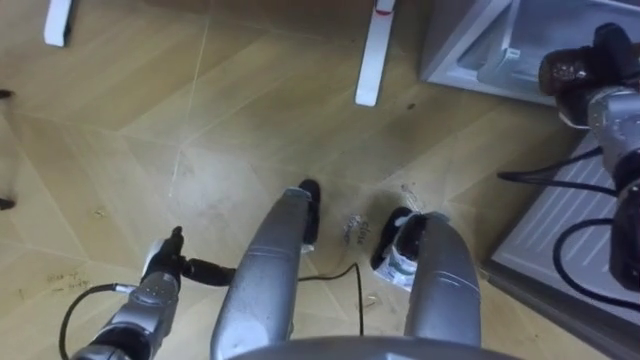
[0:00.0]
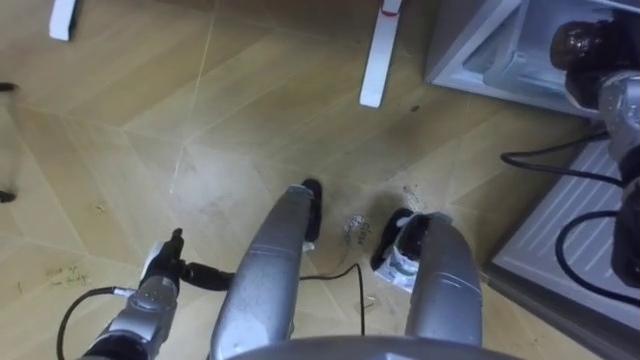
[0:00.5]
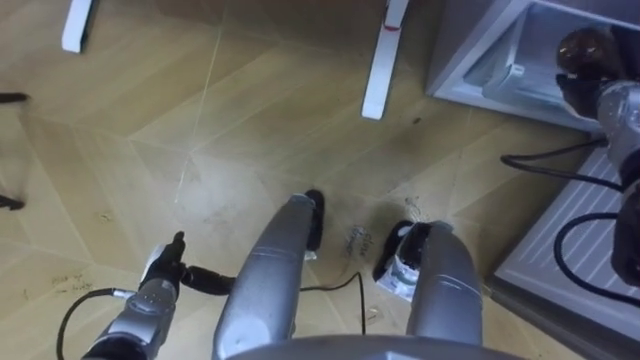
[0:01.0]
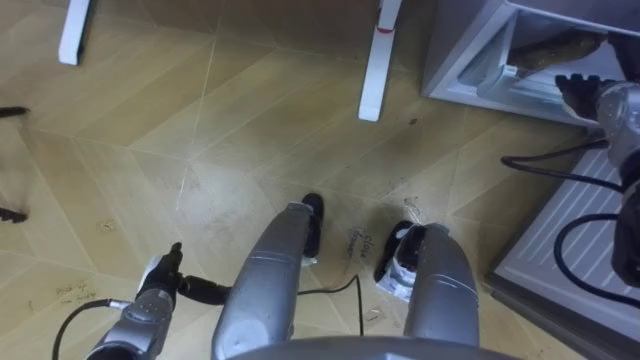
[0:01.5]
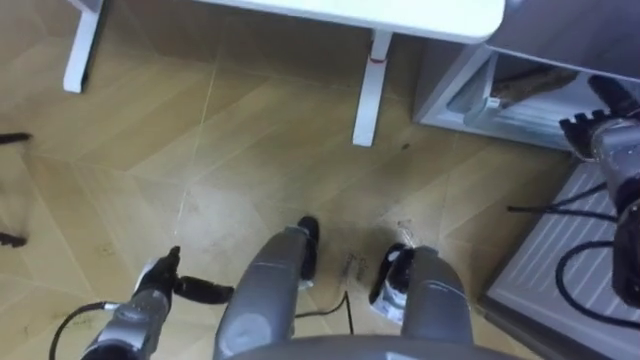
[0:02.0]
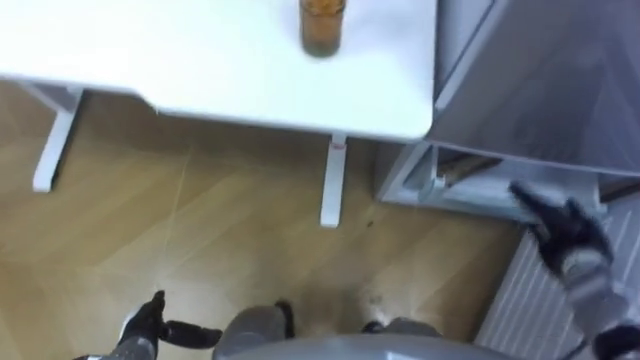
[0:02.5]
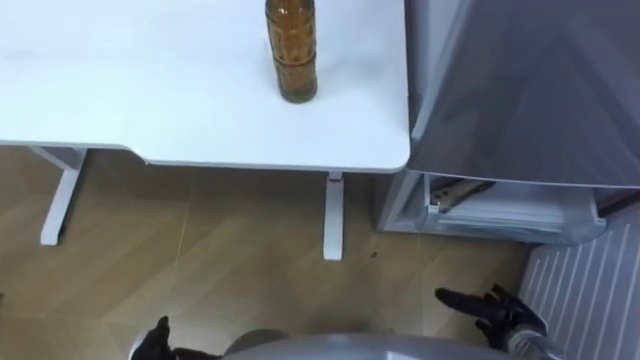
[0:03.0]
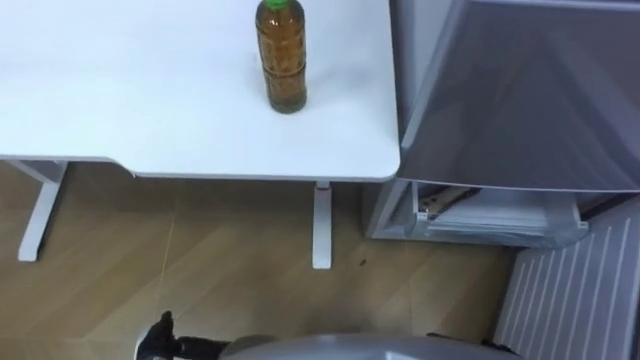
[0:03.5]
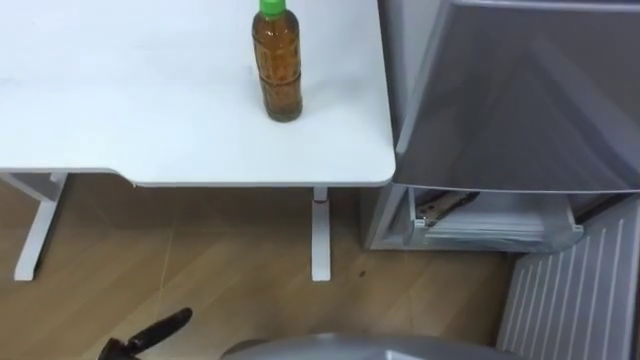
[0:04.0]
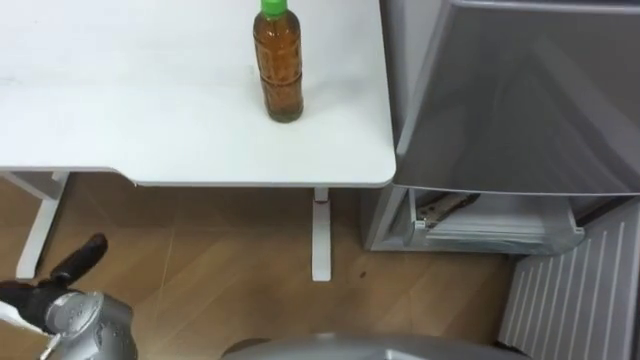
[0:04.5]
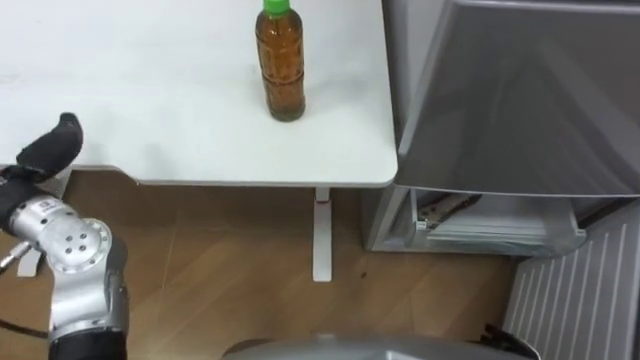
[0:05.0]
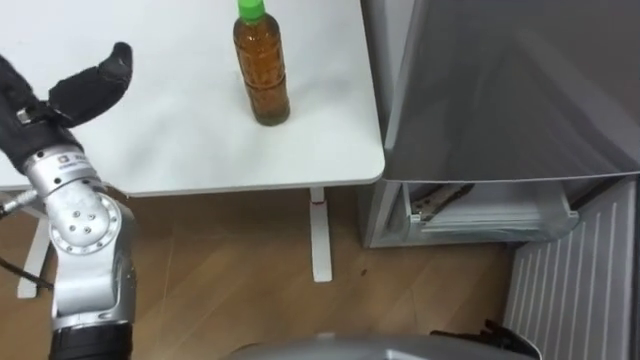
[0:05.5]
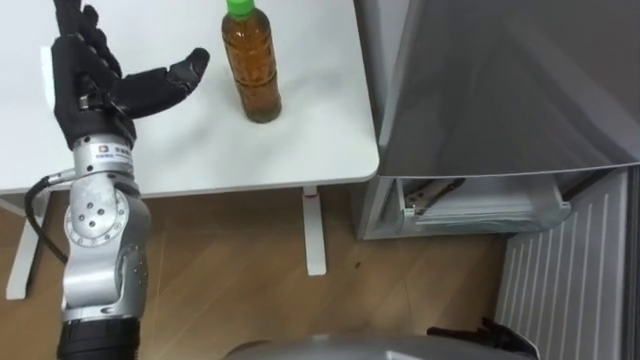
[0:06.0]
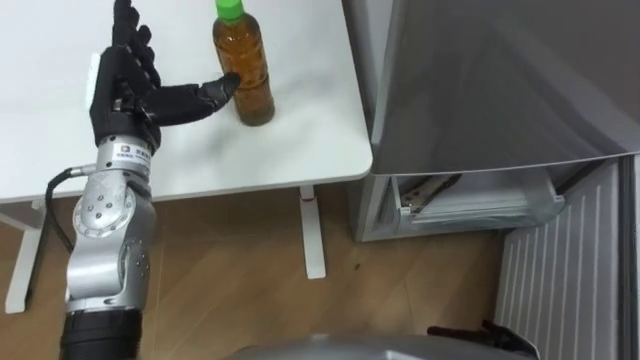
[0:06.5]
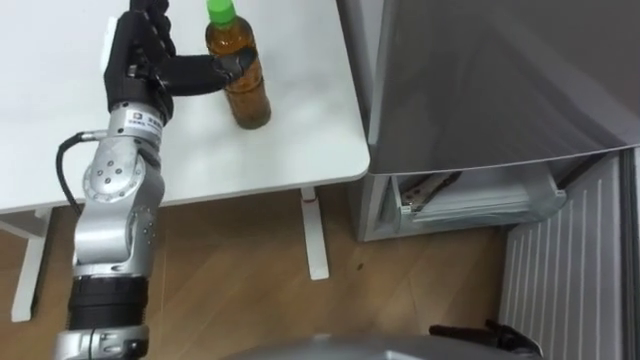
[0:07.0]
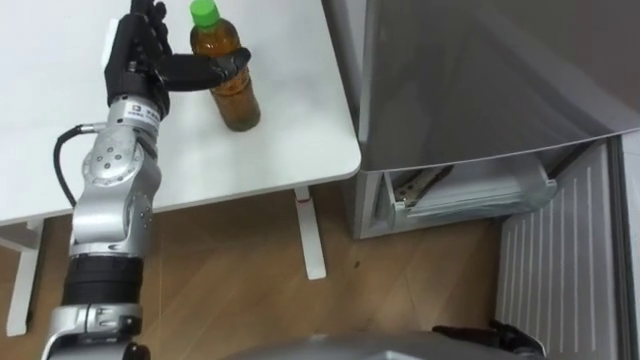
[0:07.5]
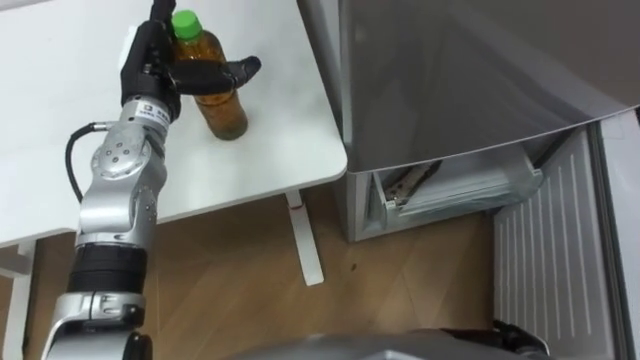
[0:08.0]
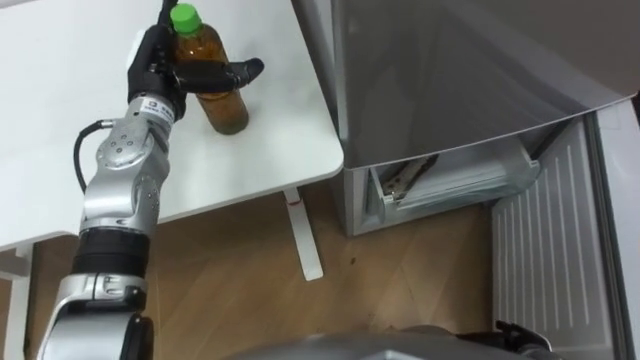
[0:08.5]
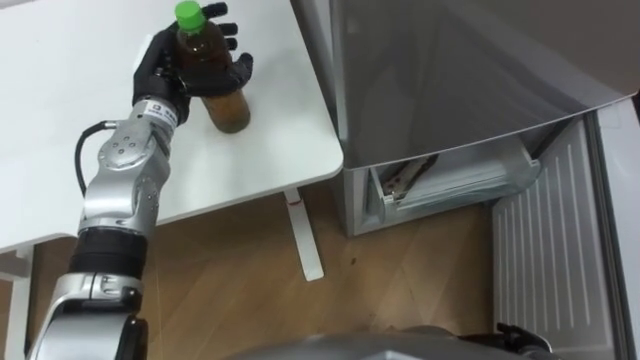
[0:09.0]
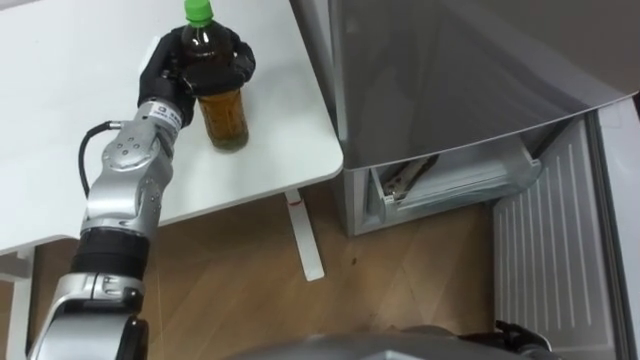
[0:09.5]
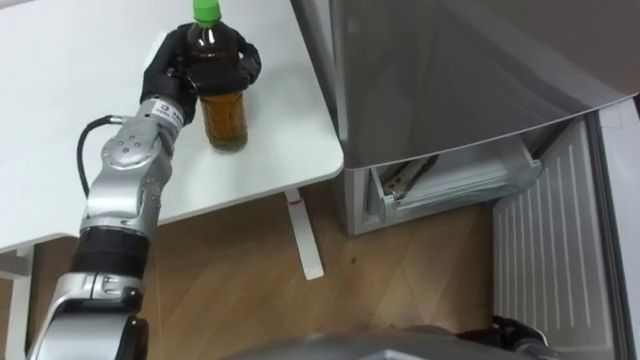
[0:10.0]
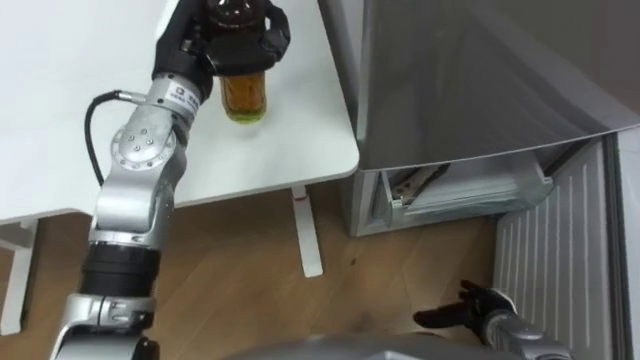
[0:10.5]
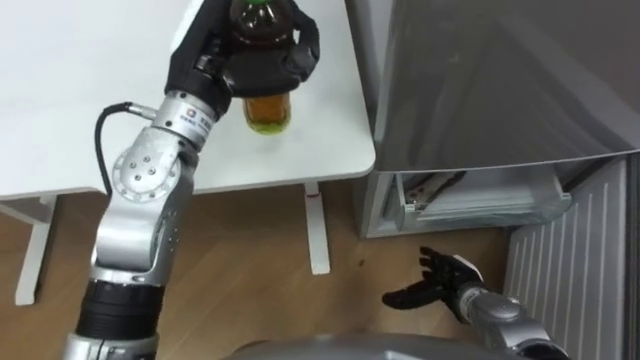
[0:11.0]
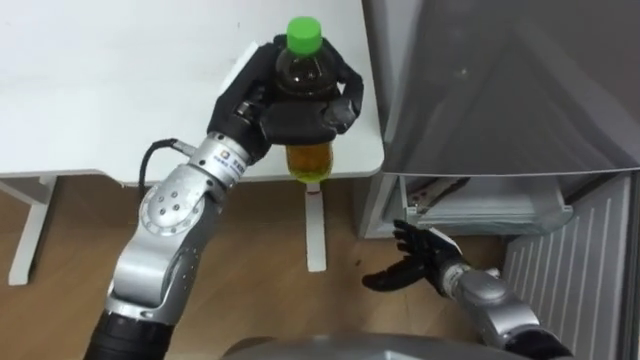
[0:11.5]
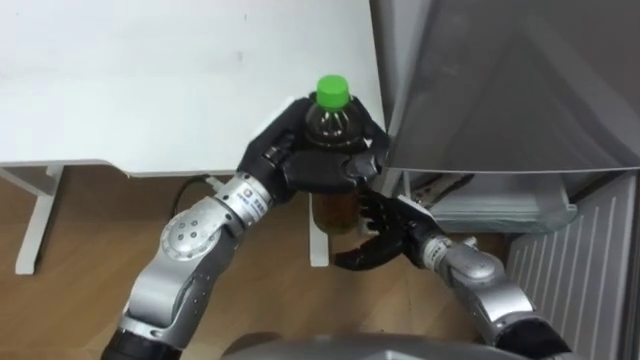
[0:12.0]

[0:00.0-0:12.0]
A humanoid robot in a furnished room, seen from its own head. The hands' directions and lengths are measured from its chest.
Task of the whole recording: Place the drink on the table on the bottom shelf of the refrigerator, then close the drawer and the refrigerator door.
0:00.0 to 0:02.0: The right hand opens up.
0:06.0 to 0:08.0: The left hand goes roughly 5 cm forward.
0:08.0 to 0:10.0: The left hand closes up.
0:10.0 to 0:12.0: The right hand is displaced to the left, forward and upward by some 25 cm. The left hand goes roughly 15 cm to the right and backward.

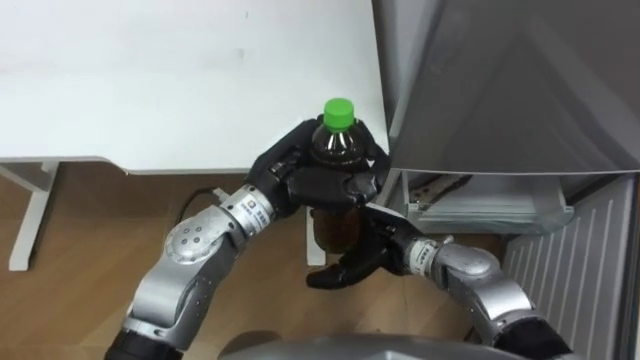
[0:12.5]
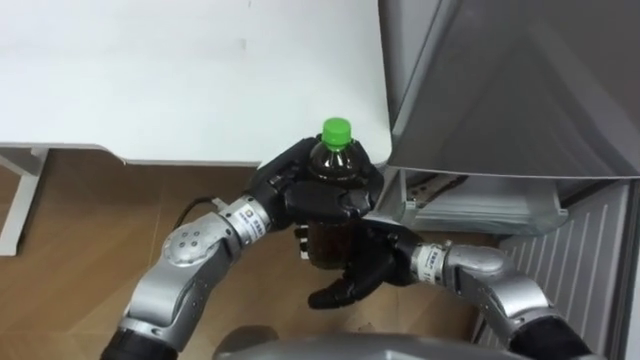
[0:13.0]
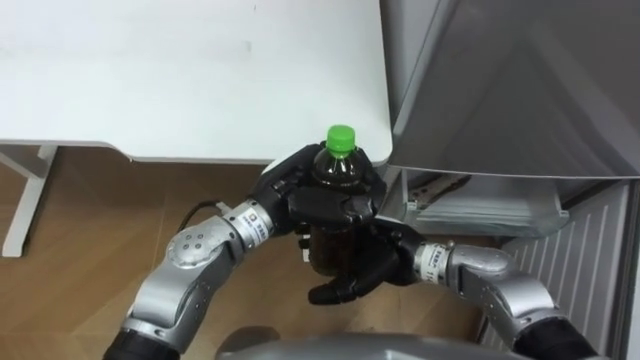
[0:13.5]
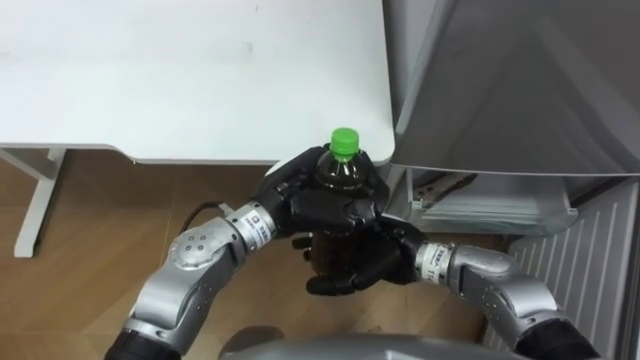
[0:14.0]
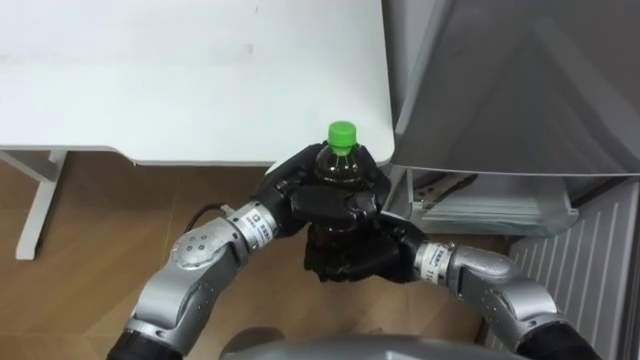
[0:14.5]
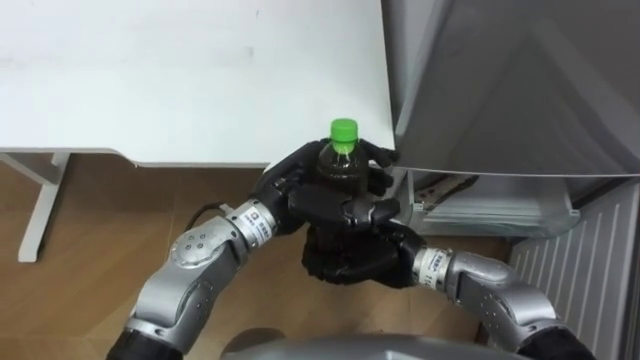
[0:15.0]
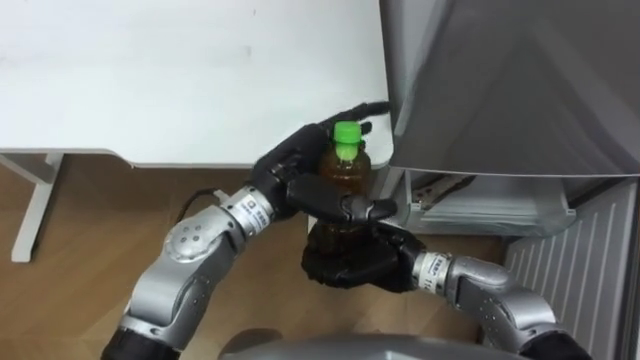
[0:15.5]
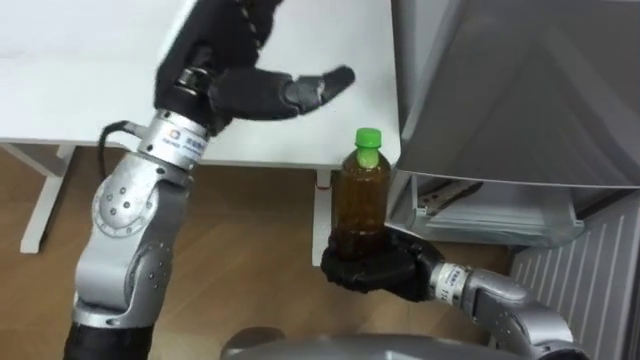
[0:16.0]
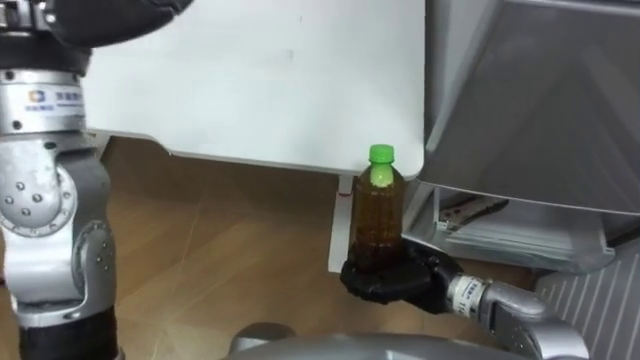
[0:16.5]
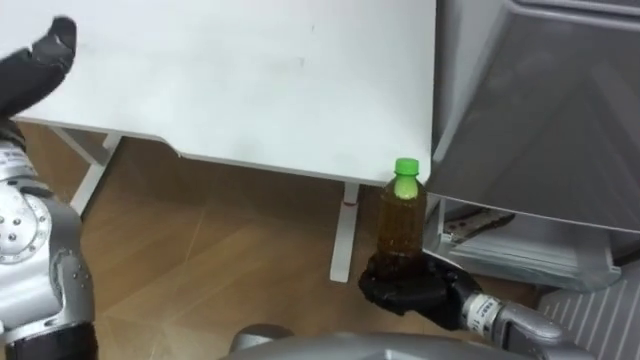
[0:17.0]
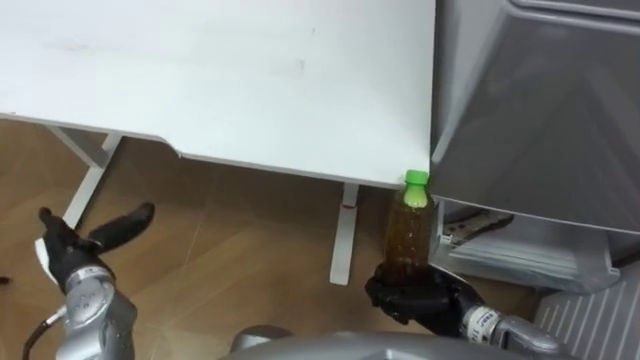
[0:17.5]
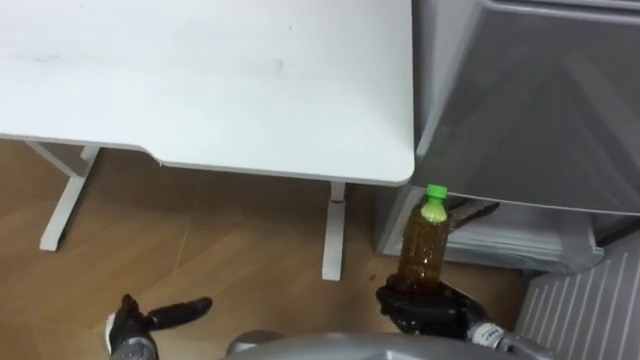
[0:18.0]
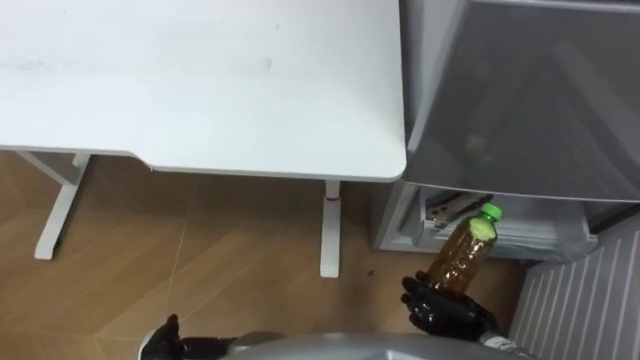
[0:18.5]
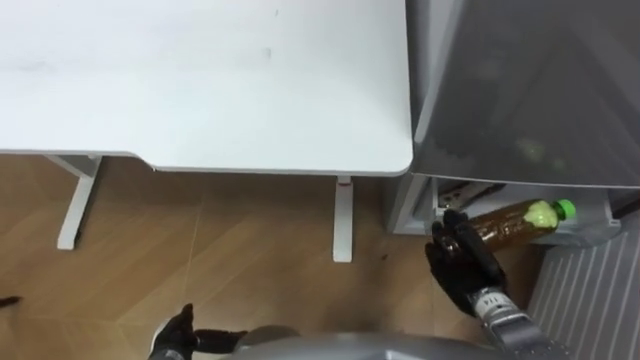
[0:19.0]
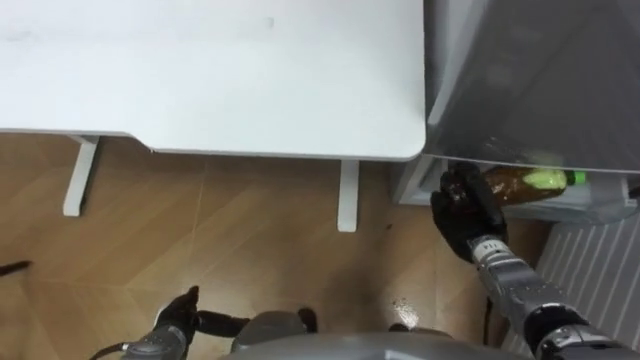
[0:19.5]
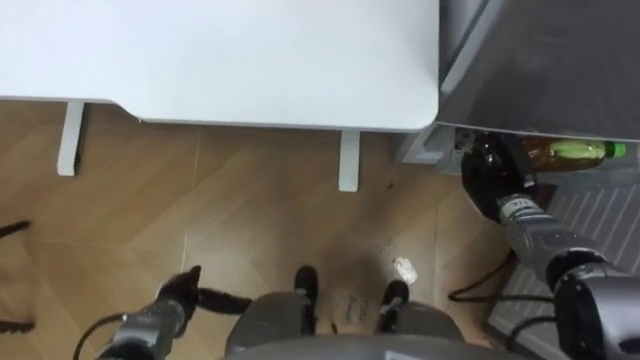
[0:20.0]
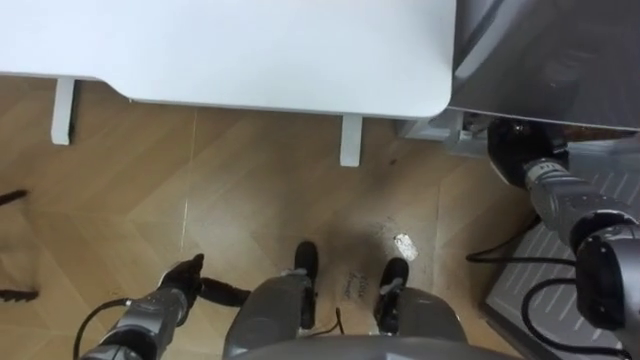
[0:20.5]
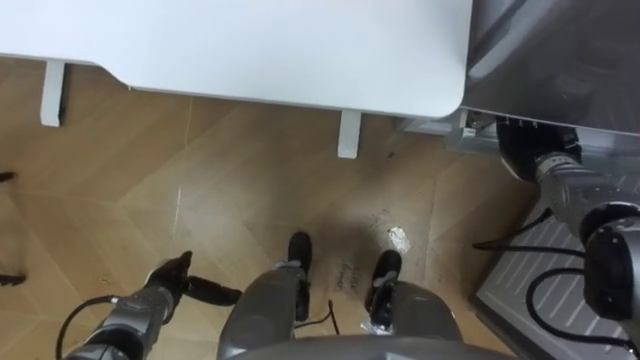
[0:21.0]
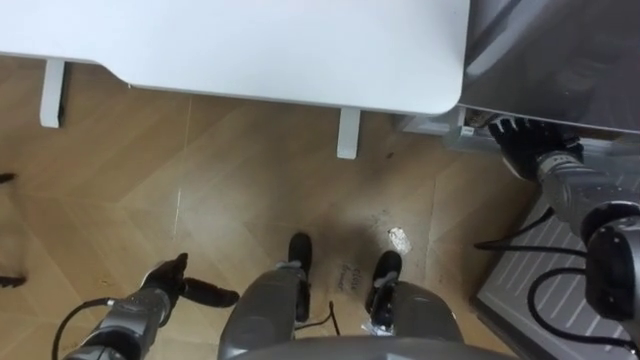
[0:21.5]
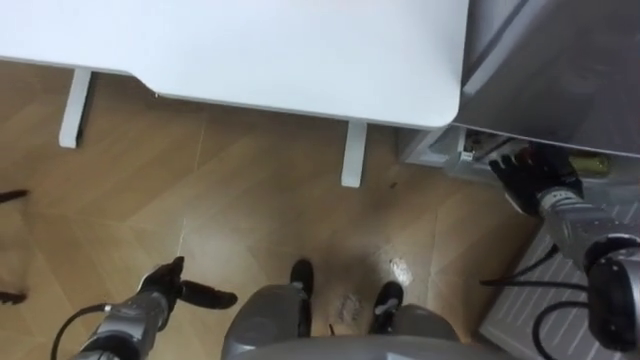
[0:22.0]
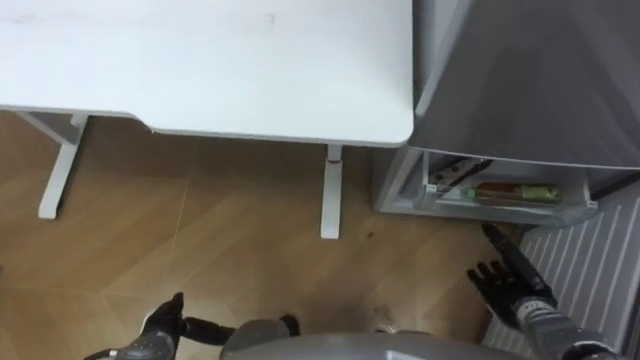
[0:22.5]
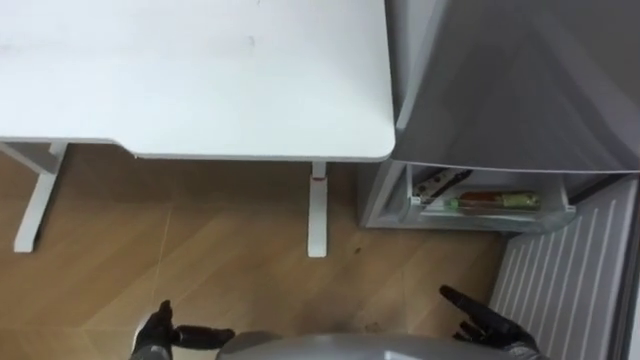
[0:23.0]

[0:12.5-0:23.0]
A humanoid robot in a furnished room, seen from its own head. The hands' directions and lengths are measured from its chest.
Task of the whole recording: Place the drink on the table on the bottom shelf of the refrigerator, then close the drawer and the refrigerator door.
0:12.5 to 0:14.5: The right hand closes up.
0:14.5 to 0:16.5: The left hand moves upward and to the left, about 30 cm, and opens up, while the right hand heads to the right, covering some 5 cm.
0:16.5 to 0:19.0: The right hand moves to the right and downward, about 10 cm.
0:19.0 to 0:21.0: The right hand goes approximately 20 cm forward, to the right and upward, and opens its fingers; the left hand goes some 10 cm forward.
0:21.0 to 0:23.0: The right hand shifts approximately 30 cm backward and downward. The left hand travels backward by some 10 cm.
